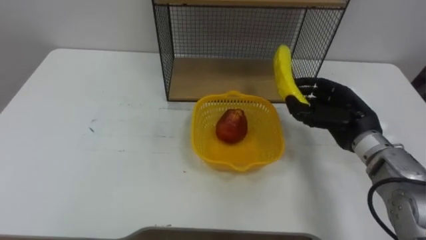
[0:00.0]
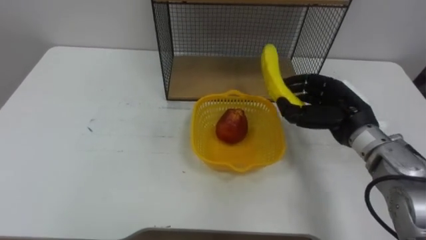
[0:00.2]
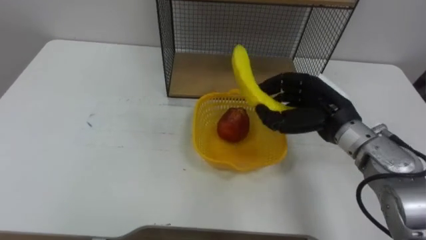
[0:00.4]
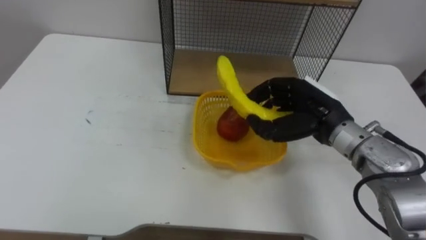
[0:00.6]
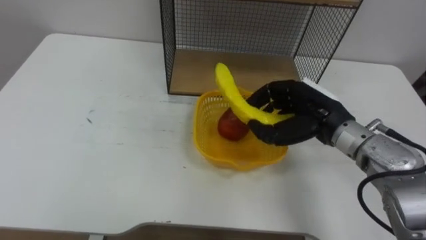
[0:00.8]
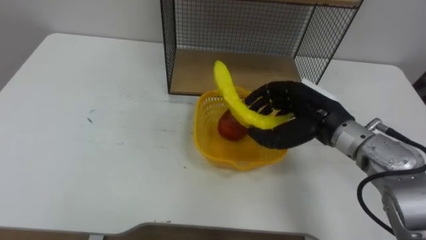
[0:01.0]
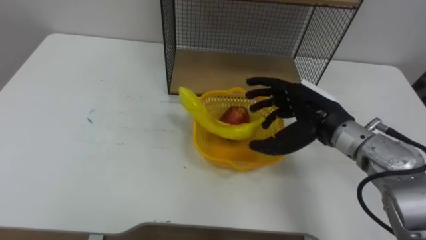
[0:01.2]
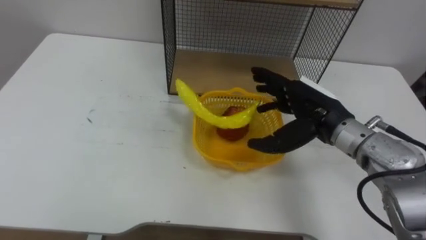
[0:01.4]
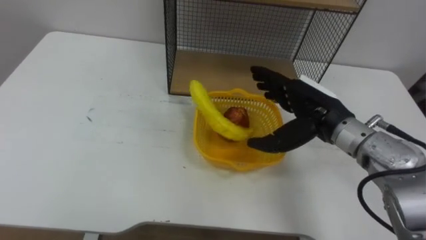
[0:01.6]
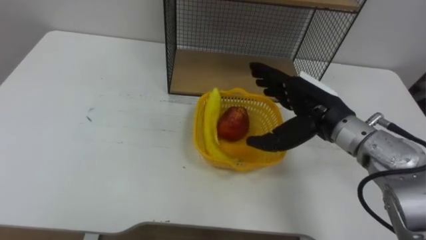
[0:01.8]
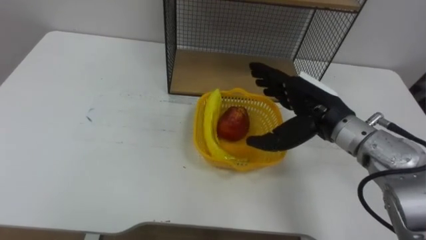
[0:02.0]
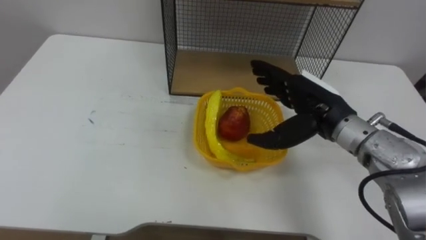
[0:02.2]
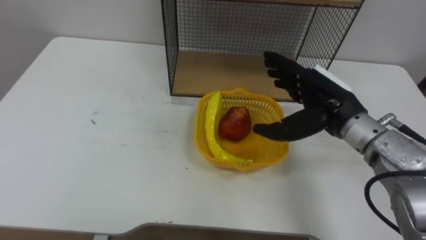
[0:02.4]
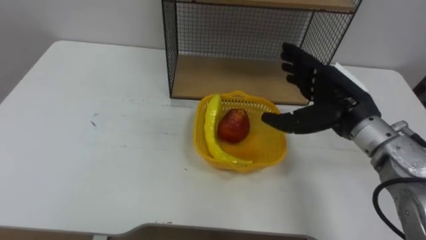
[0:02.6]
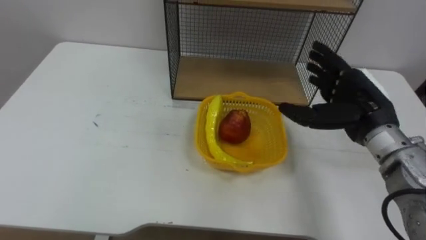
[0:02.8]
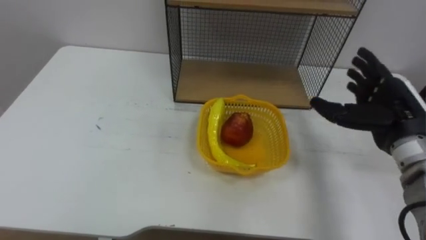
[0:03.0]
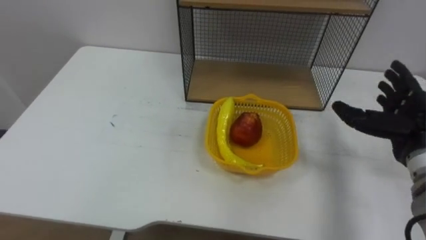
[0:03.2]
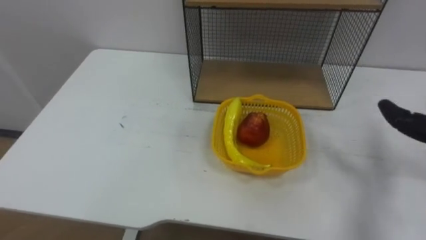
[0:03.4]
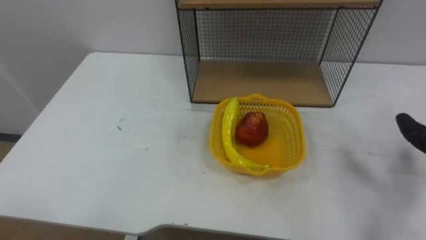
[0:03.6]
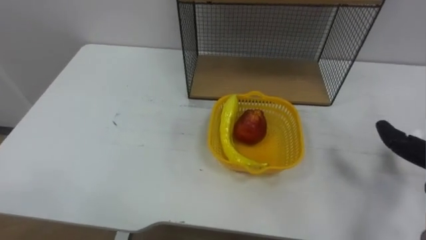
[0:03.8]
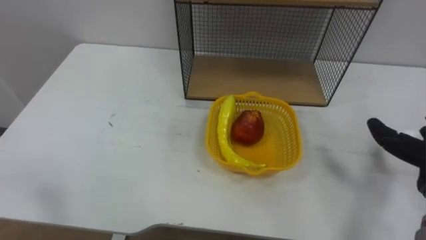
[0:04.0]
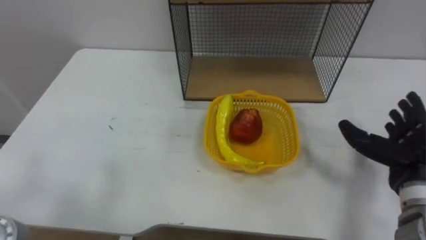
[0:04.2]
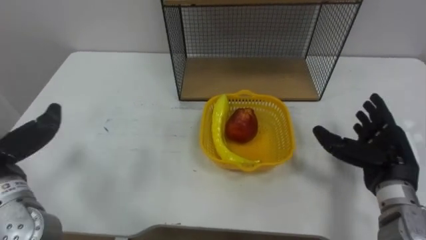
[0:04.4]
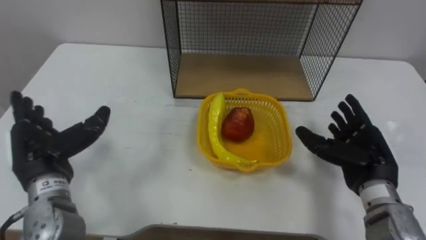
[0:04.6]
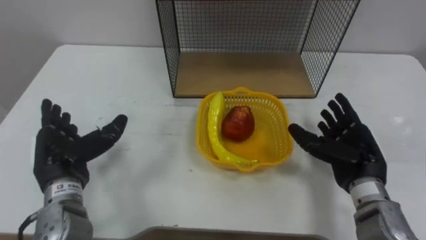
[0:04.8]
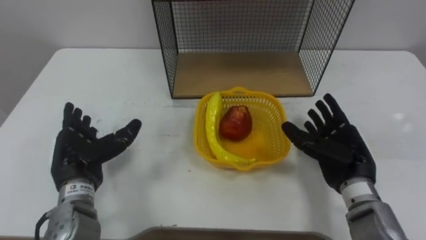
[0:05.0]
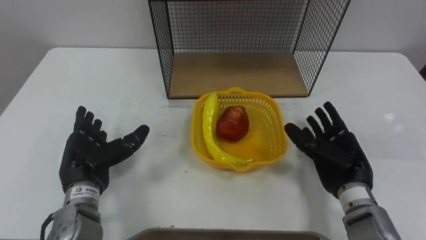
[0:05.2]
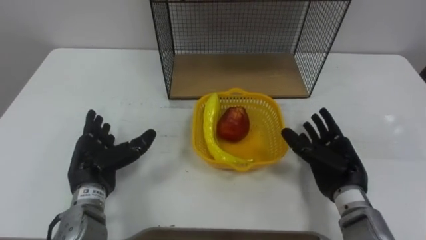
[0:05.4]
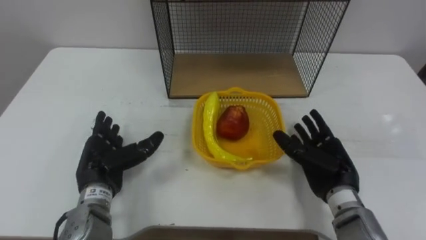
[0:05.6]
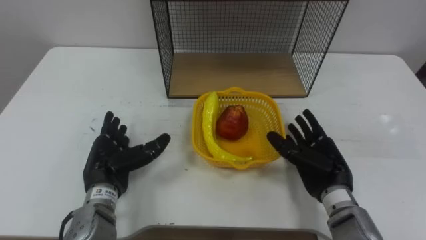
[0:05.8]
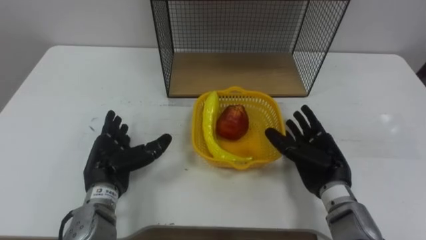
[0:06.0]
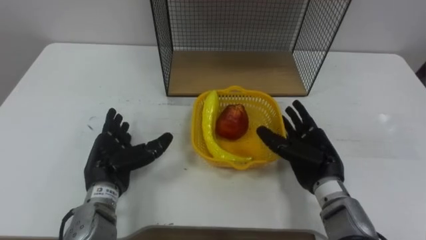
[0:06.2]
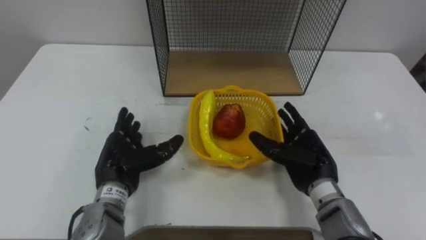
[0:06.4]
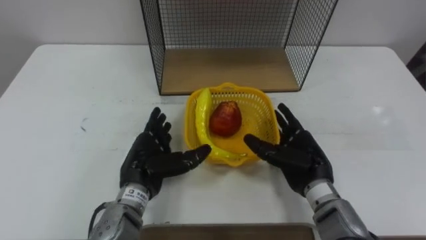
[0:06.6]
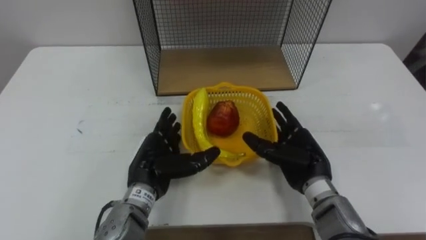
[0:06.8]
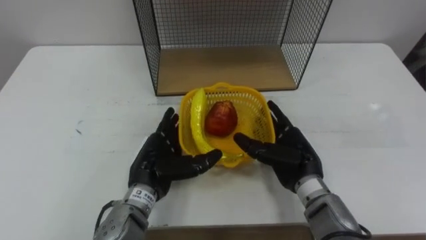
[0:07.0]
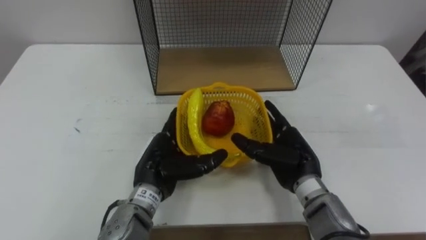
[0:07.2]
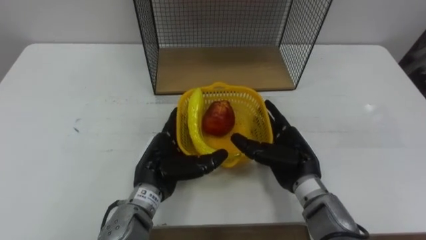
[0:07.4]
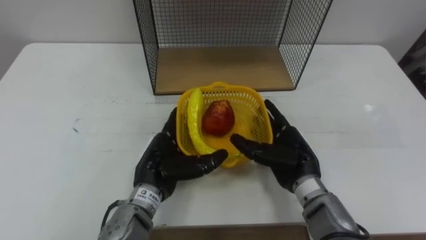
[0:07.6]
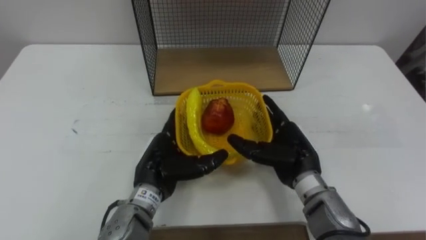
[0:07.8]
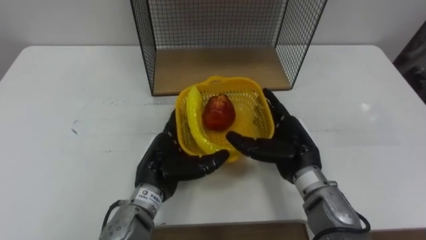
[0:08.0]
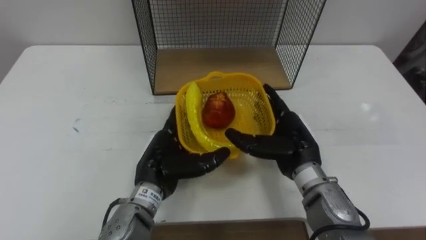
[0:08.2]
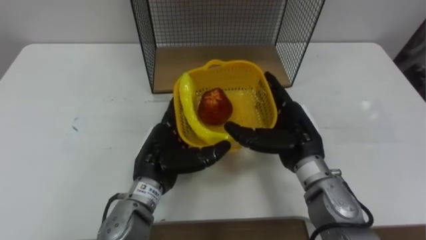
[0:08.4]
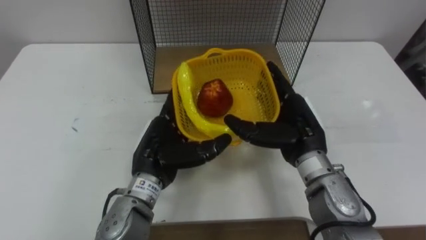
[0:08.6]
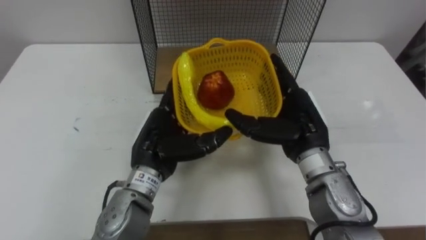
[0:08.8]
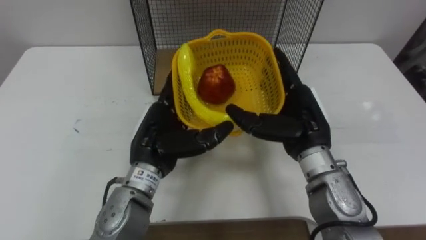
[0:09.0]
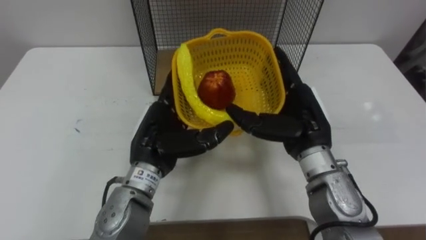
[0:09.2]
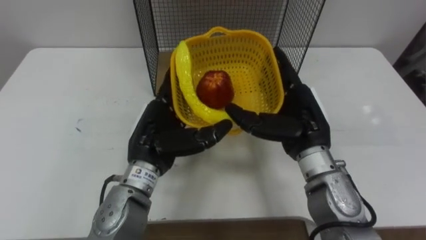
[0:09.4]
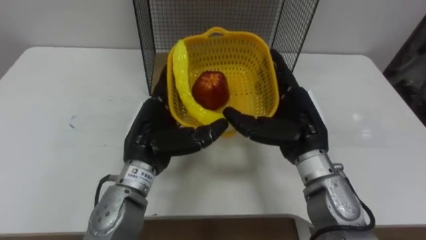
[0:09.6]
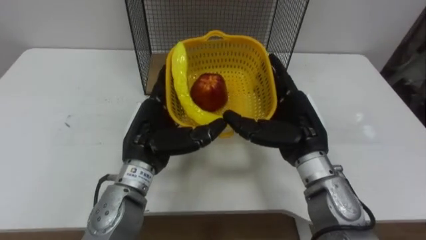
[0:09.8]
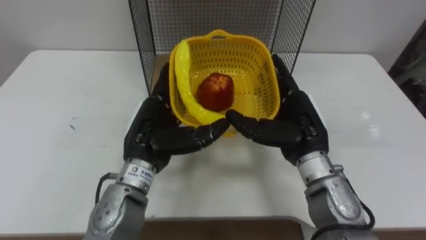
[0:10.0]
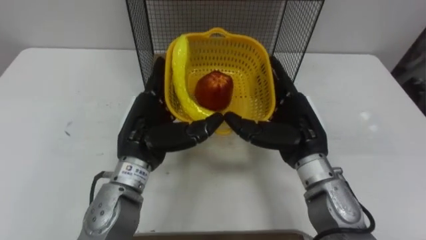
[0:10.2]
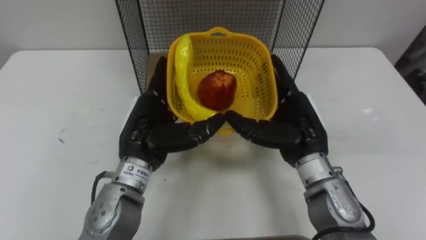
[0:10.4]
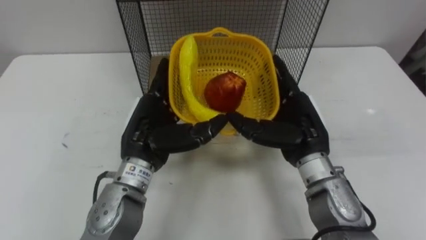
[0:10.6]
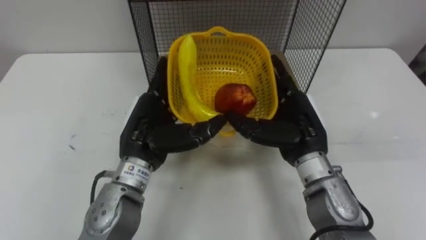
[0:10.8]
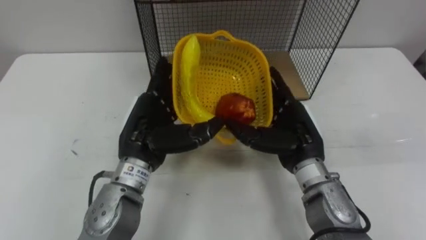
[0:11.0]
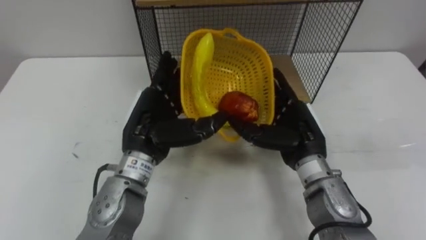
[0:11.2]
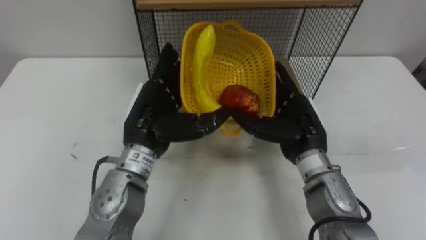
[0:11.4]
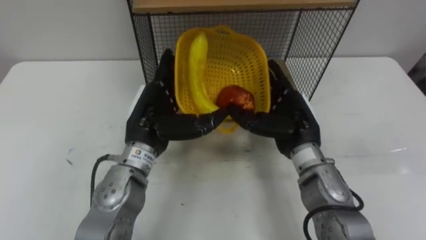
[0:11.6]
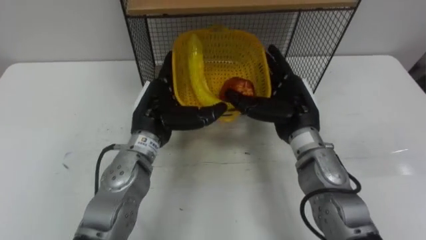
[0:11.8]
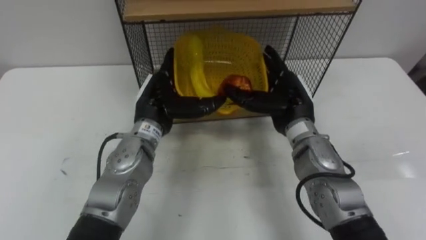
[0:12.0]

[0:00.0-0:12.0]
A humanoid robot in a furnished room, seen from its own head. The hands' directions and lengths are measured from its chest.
Task of the whole recording: Put the fruit on the table into the basket, then place the basket on the shelf.
0:00.0 to 0:01.6: The right hand travels to the left by roughly 5 cm, and opens its fingers.
0:01.6 to 0:03.0: The right hand goes some 10 cm to the right.
0:04.4 to 0:06.0: The right hand is displaced to the left by some 10 cm.
0:06.0 to 0:07.6: The left hand is displaced to the right by some 10 cm; the right hand travels to the left by some 5 cm.
0:07.6 to 0:09.0: Both hands travel together upward, roughly 10 cm.
0:10.4 to 0:12.0: Both hands travel together forward, about 5 cm.

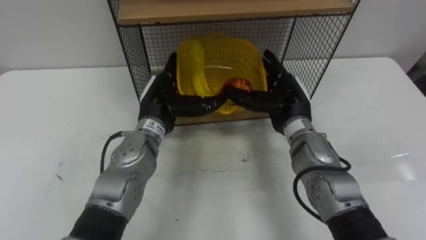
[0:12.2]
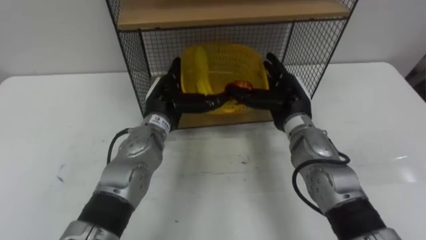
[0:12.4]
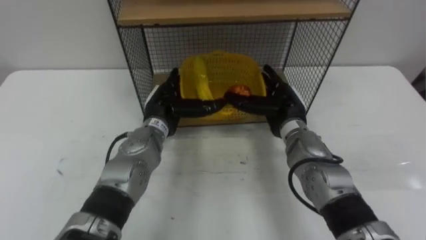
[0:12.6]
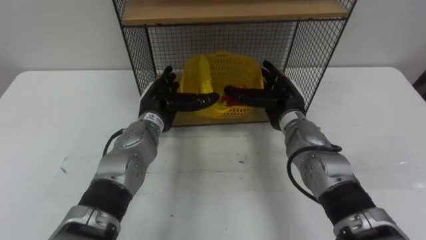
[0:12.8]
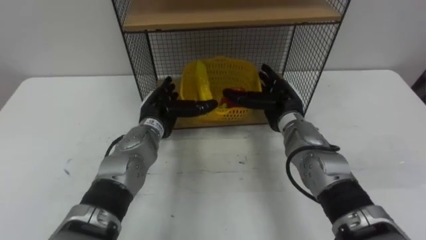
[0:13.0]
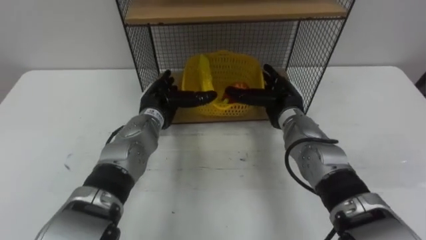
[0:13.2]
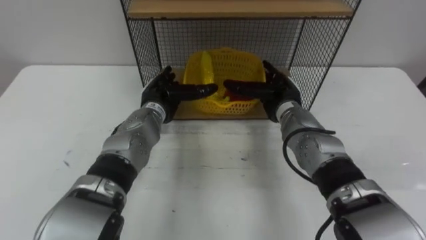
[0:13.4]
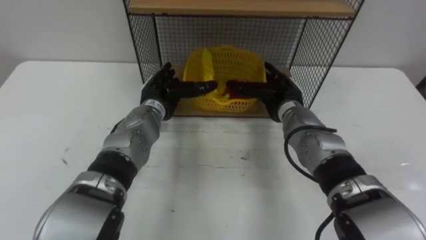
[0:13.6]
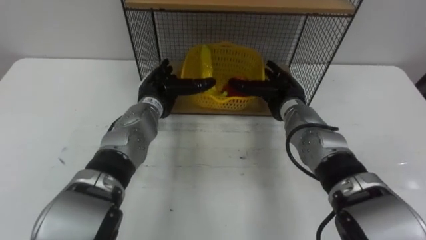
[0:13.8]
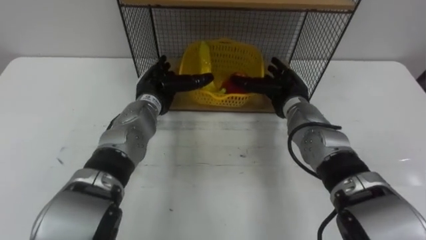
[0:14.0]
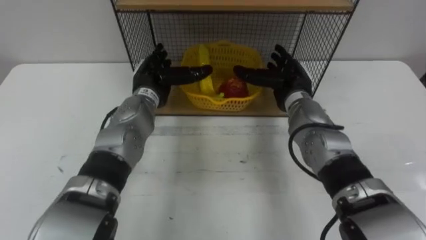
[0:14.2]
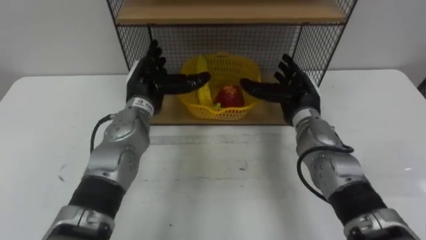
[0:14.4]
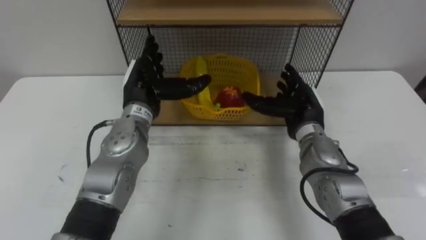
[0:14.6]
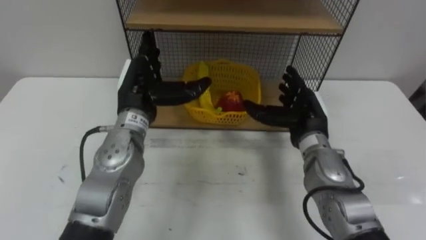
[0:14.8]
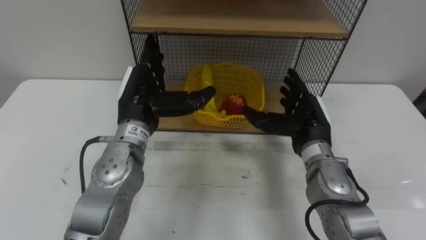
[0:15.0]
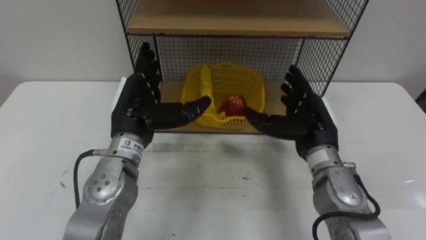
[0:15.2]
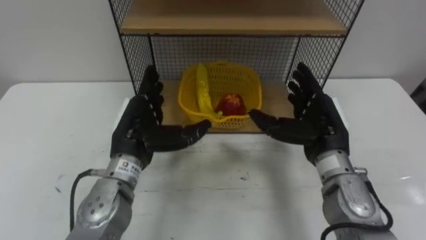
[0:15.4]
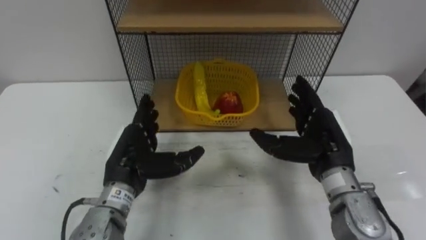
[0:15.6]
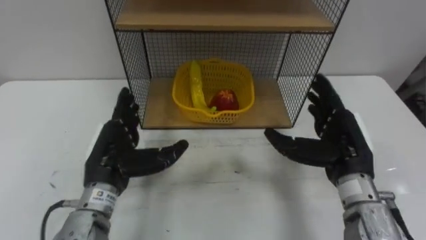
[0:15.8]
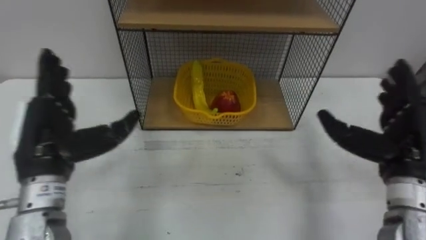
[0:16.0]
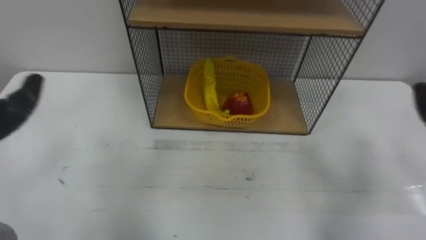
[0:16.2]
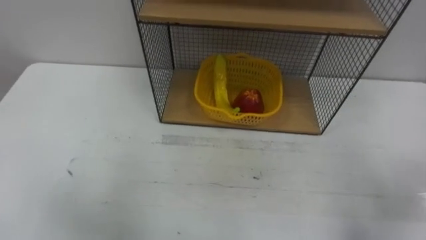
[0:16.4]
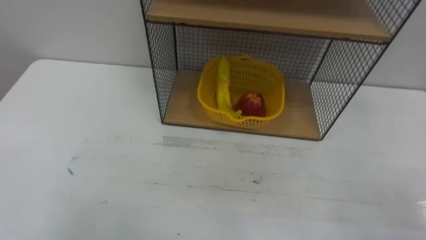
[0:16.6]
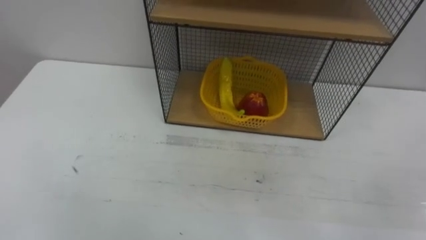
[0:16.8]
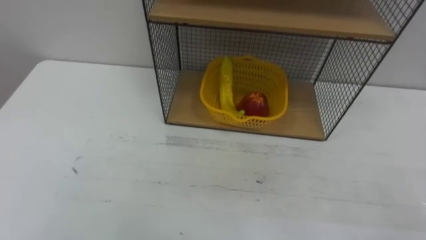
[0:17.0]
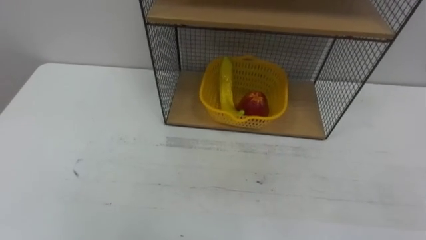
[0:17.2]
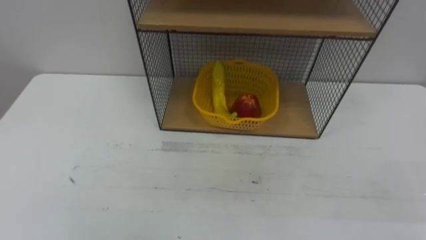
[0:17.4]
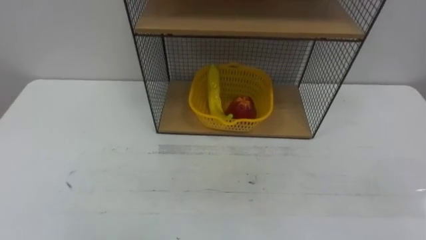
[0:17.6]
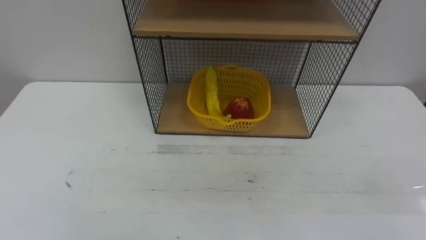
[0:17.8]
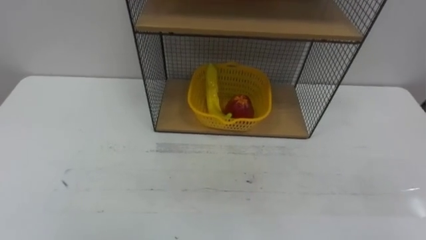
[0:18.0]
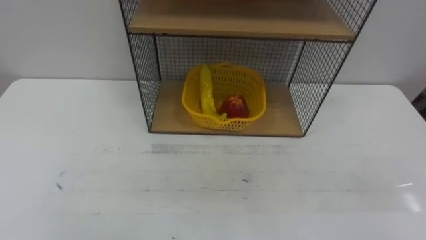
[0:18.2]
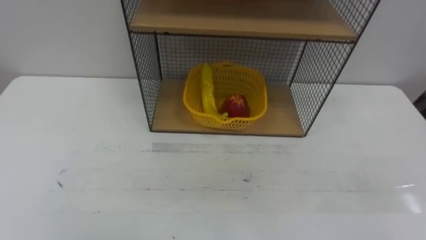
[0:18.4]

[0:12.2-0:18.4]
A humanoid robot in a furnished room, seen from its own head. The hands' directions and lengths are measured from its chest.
Task of the whole recording: Put the fruit on the table into the basket, then place the basket on the shelf.
0:12.2 to 0:13.8: The left hand is displaced forward by roughly 5 cm, while the right hand ends up roughly 5 cm from where it was.
0:13.8 to 0:15.4: The left hand is displaced backward by some 10 cm, while the right hand shifts roughly 10 cm backward and to the right.
